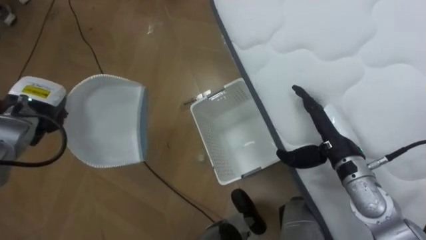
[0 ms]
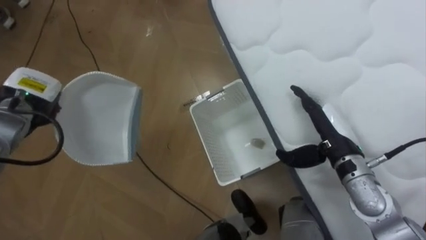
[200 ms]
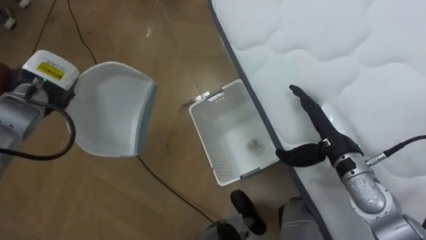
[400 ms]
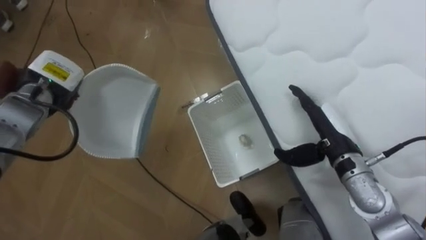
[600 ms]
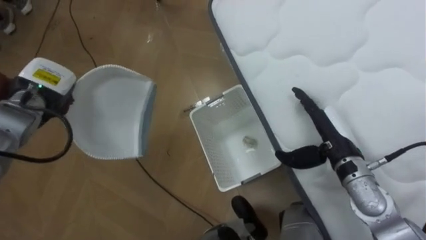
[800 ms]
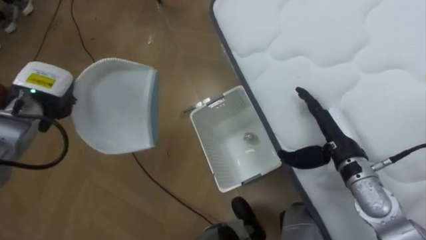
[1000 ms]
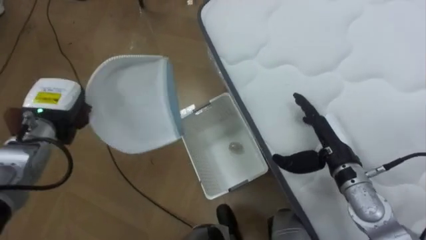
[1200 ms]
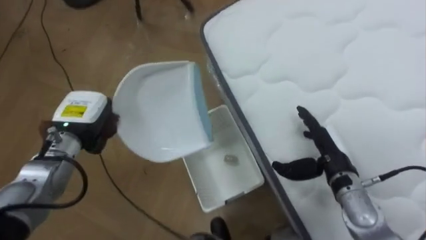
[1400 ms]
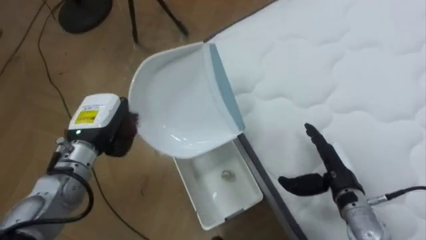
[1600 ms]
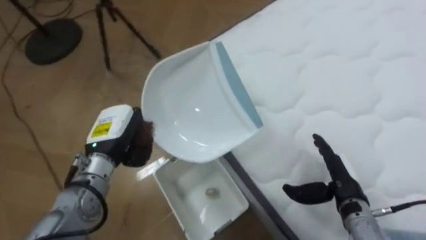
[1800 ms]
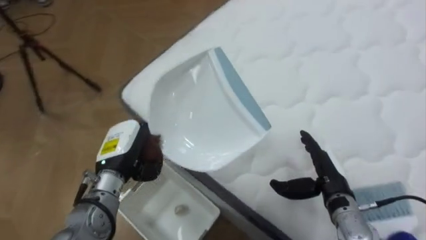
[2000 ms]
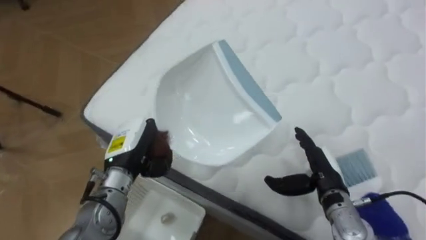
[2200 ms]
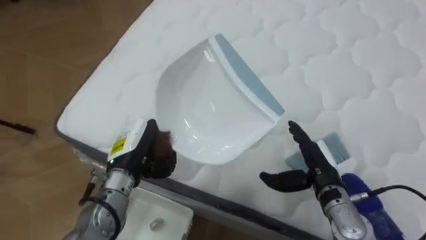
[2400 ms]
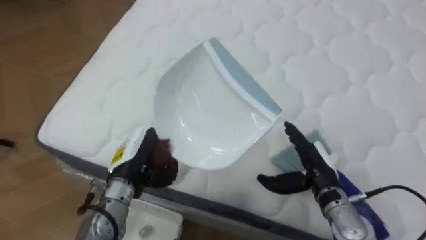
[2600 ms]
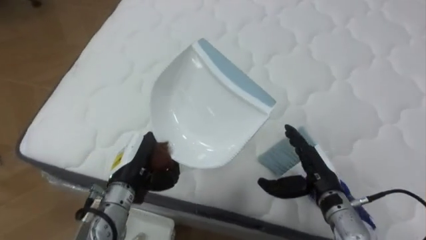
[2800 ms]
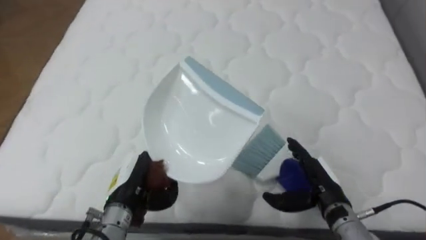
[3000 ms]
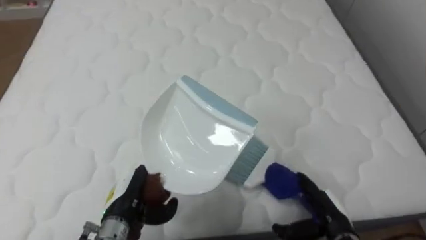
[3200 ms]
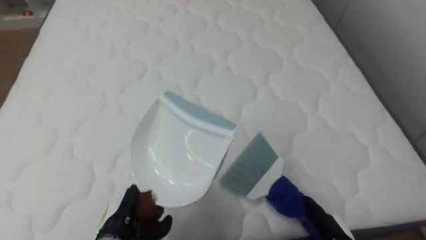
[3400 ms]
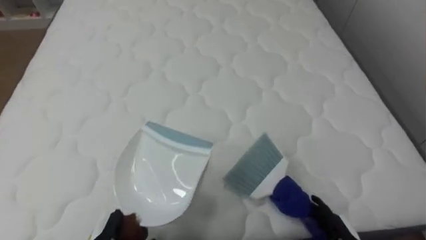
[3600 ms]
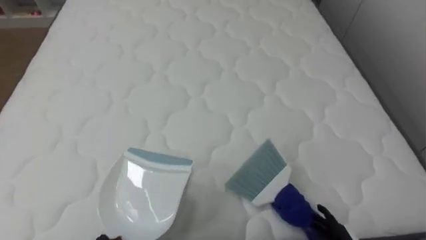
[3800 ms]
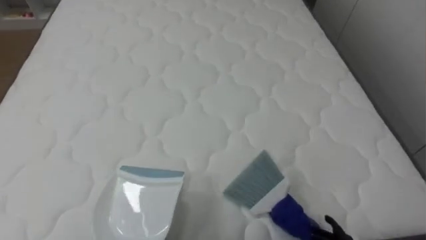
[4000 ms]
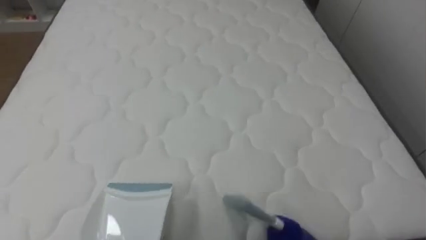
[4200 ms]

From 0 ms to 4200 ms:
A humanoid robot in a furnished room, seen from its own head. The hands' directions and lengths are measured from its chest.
Task of the whole recording: Pick up the brush on your right and the dustpan on your left. Use the brush to sweep the crumpled paper on the bed into the dustpan, then turn left and empty it into the basket.
From 0 ms to 1400 ms: The left hand goes about 10 cm to the right.
From 1400 ms to 2800 ms: The robot turns to its right by some 60 degrees. The left hand goes some 10 cm to the right and backward.
From 2800 ms to 4200 ms: The robot turns to its right by approximately 20 degrees.

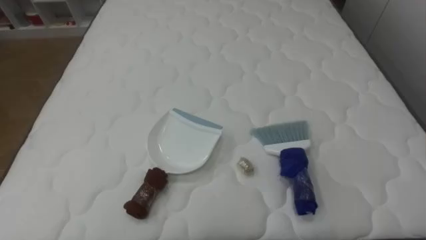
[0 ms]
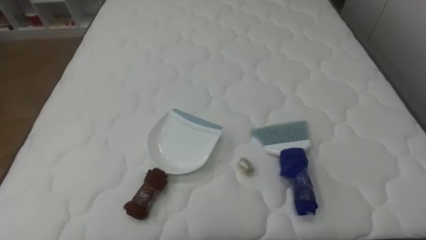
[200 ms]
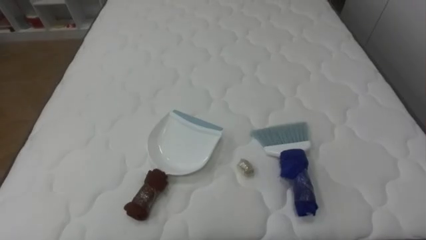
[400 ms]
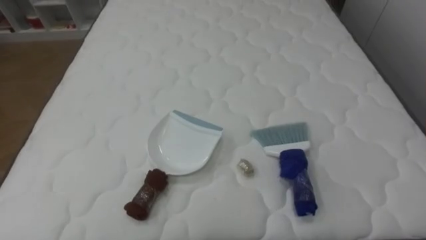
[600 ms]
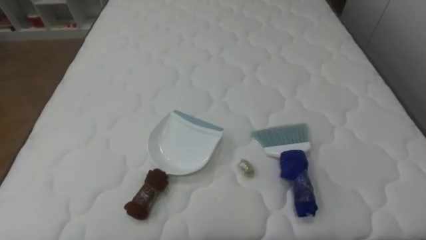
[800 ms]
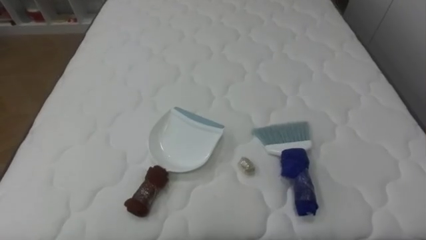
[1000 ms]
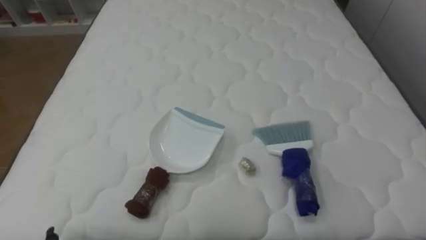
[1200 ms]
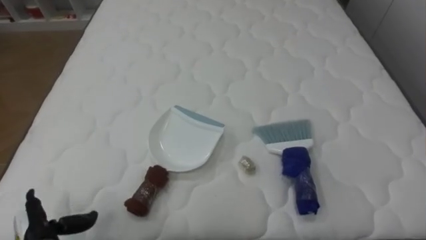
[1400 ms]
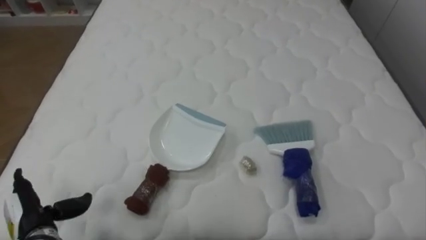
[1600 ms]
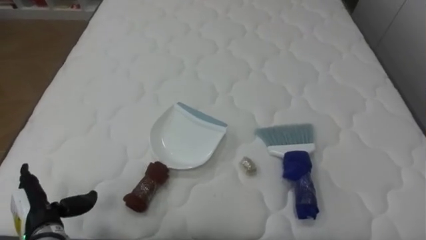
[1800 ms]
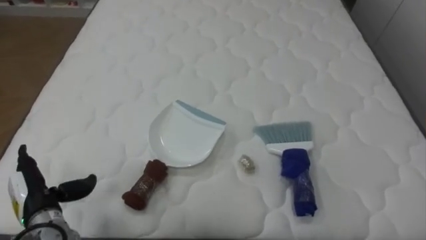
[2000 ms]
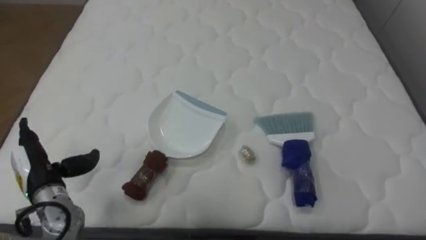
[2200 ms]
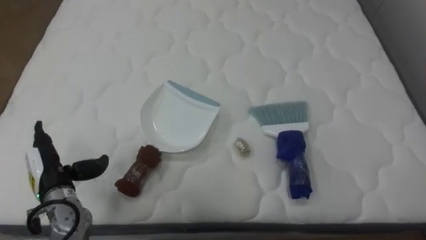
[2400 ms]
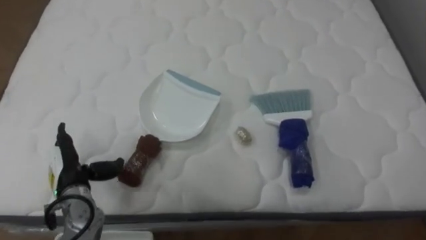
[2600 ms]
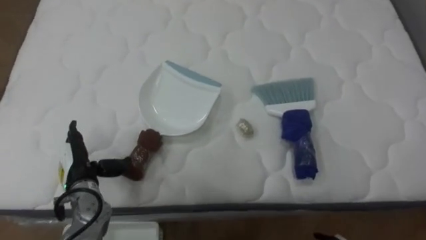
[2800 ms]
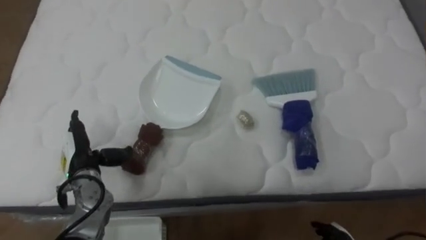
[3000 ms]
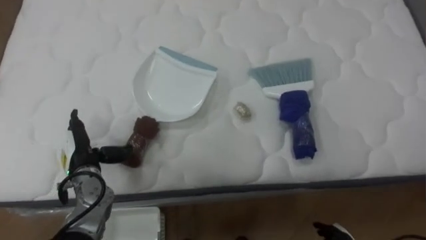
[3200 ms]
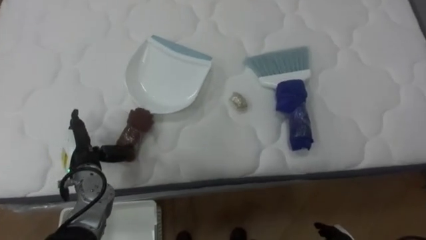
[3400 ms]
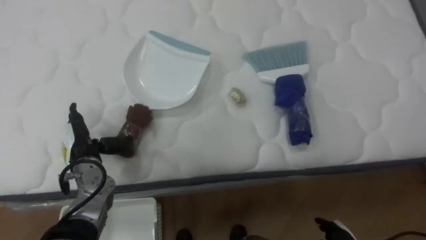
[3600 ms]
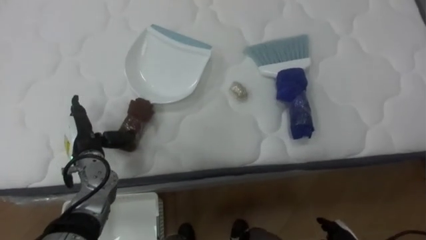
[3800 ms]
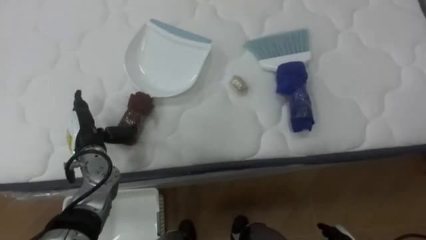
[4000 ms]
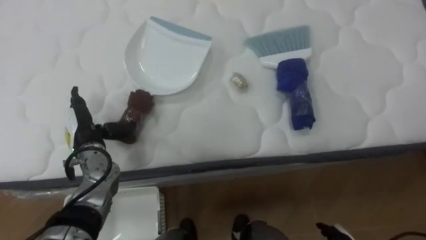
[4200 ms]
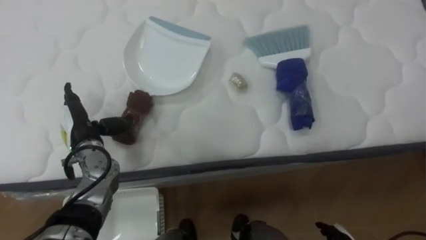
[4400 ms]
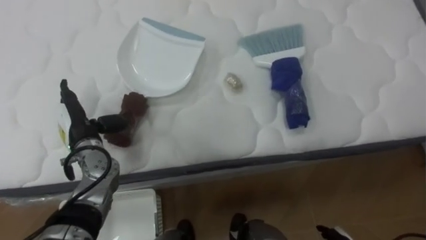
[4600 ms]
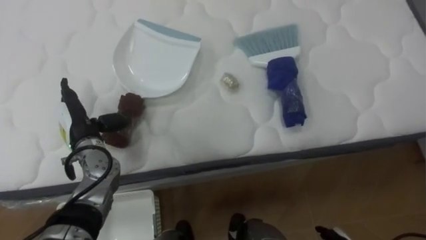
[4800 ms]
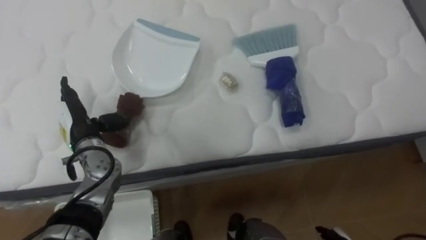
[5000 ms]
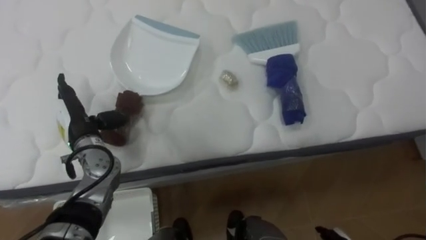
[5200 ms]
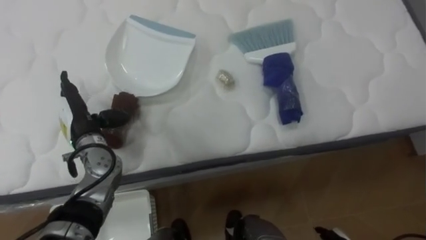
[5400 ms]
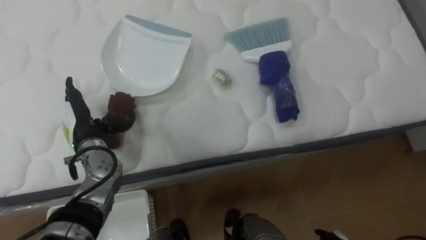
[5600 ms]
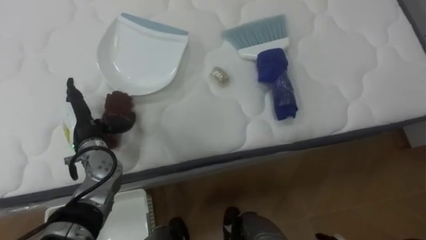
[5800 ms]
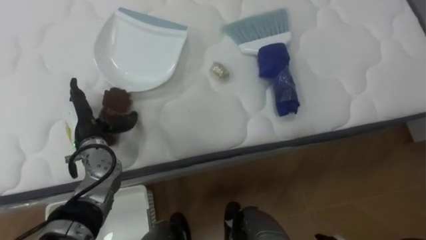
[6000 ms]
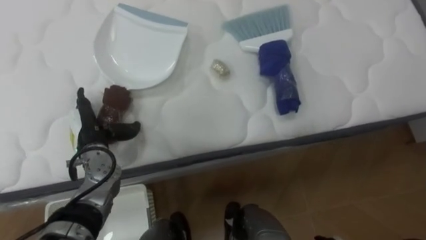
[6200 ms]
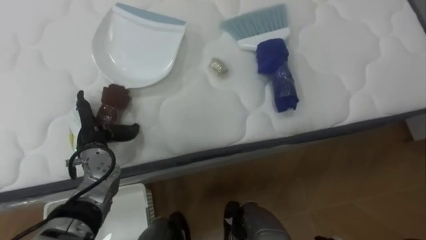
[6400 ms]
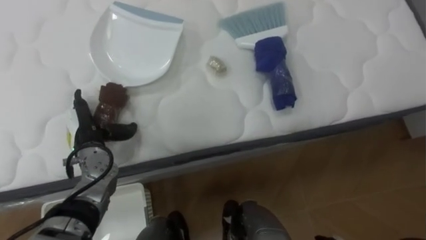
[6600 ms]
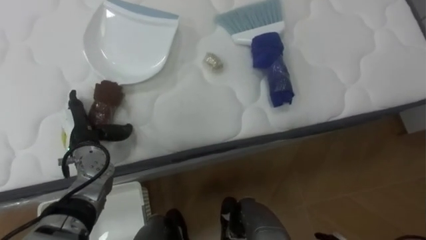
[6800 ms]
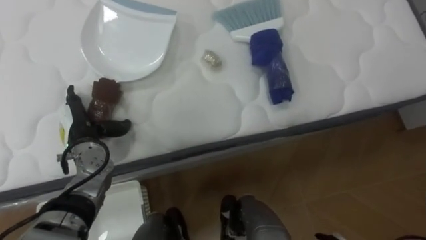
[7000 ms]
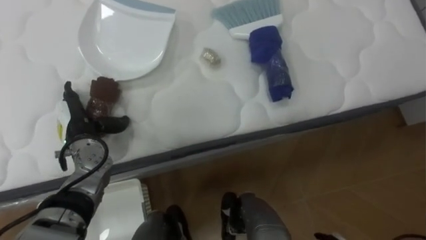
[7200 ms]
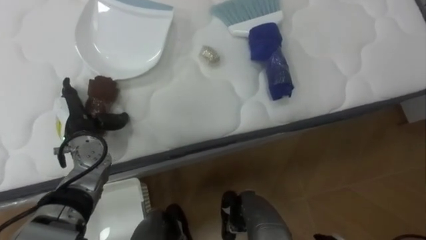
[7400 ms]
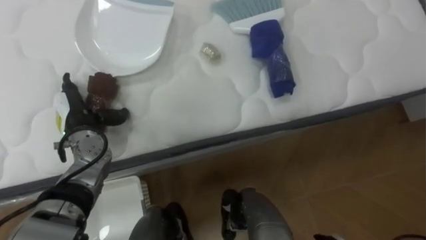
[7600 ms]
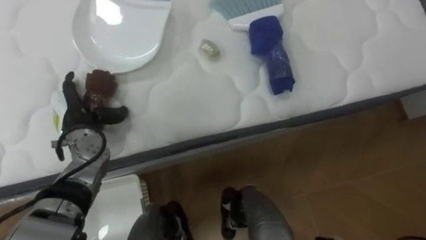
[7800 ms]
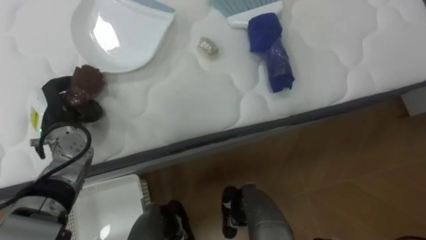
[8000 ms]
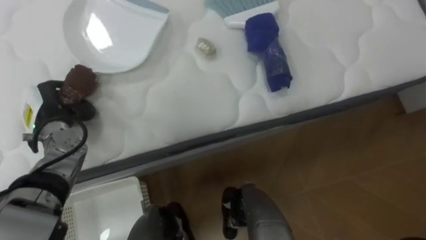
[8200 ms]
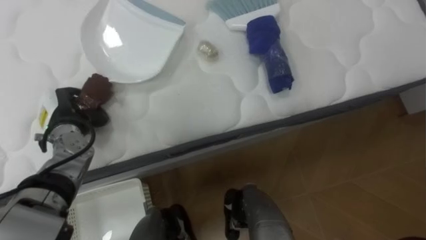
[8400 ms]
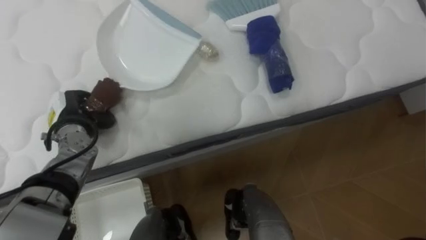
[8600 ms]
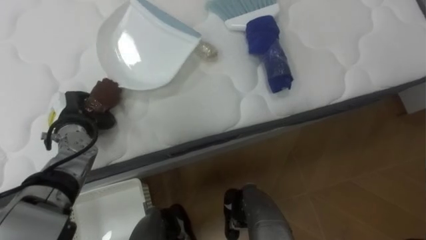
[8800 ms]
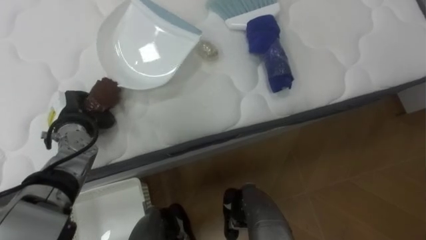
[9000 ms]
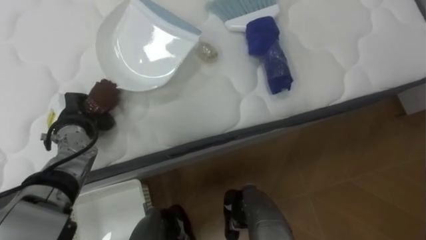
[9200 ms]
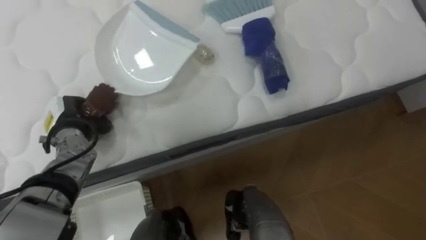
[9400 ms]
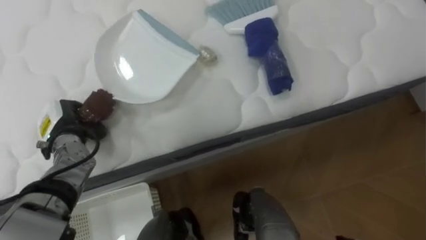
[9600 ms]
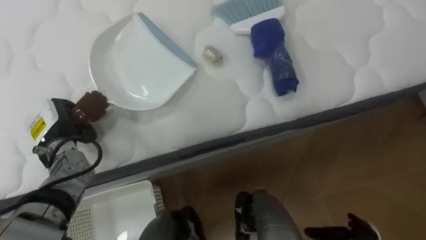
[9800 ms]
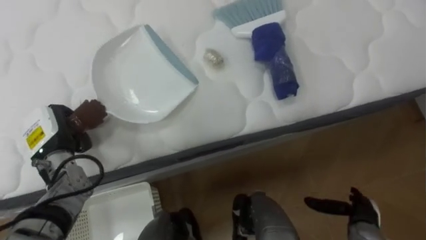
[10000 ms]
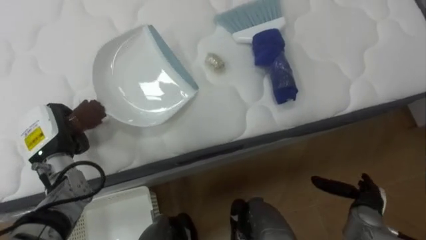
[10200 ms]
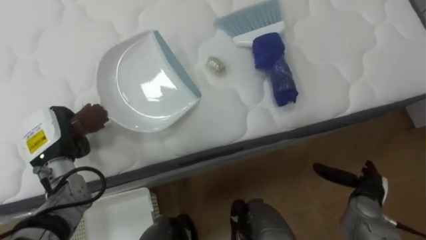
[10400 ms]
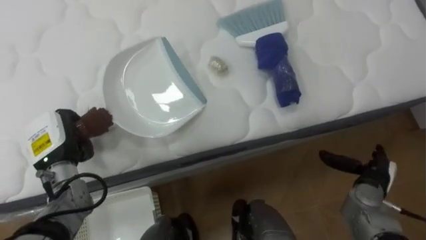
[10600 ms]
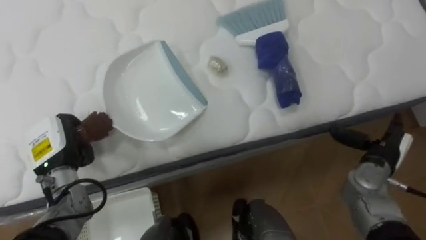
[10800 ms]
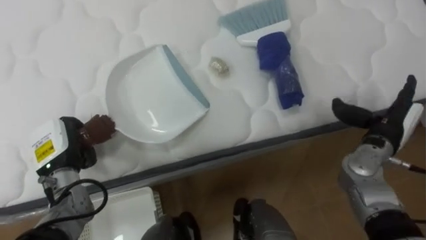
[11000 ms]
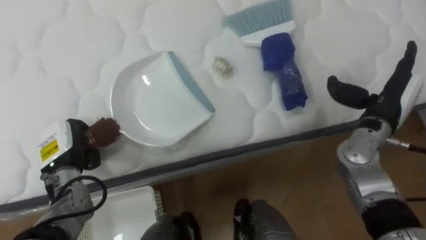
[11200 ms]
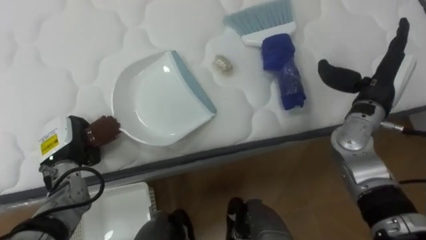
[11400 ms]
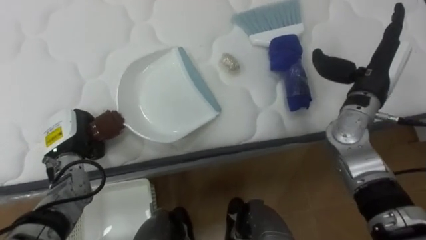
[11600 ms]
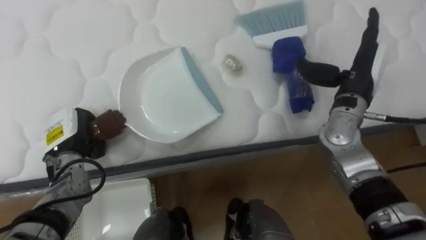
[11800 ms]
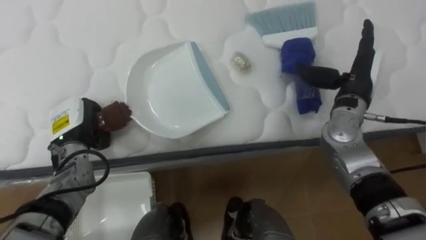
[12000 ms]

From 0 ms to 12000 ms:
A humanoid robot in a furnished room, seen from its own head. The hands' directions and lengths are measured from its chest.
Task of the whole recording: Pick up the brush on your right and the dustpan on your left. Use the brush to sweep the crumpled paper on the bed into the dustpan, then turn left and empty it into the basket.
From 1600 ms to 3000 ms: The left hand heads forward and to the right, covering some 15 cm.
From 3000 ms to 4400 ms: The left hand changes place by roughly 5 cm.
From 7600 ms to 9000 ms: The left hand closes.
From 9000 ms to 10400 ms: The left hand is displaced backward by approximately 5 cm.
From 10400 ms to 12000 ms: The right hand travels upward and forward by roughly 25 cm.
